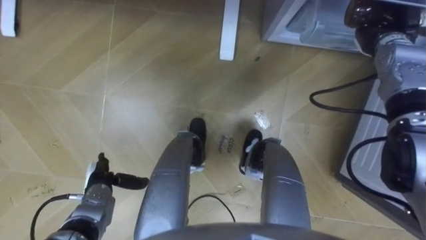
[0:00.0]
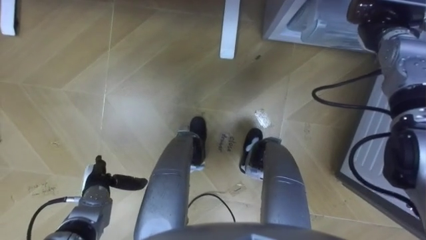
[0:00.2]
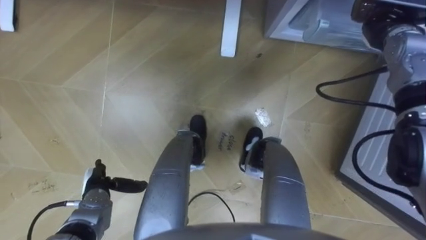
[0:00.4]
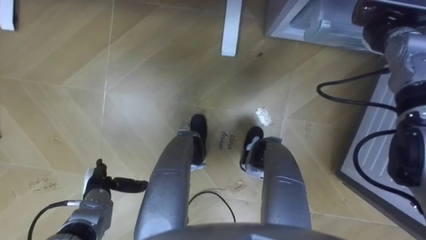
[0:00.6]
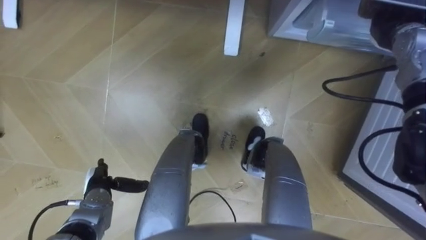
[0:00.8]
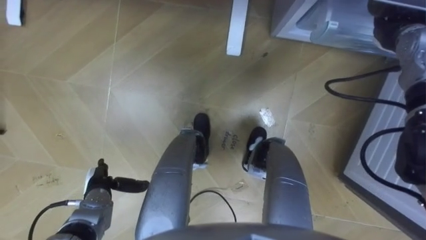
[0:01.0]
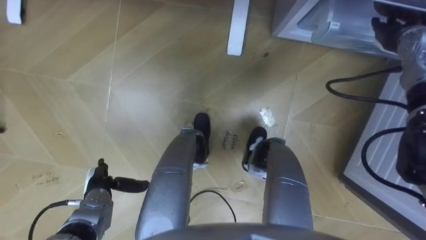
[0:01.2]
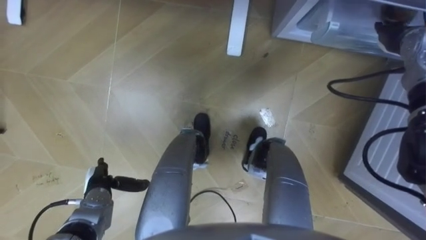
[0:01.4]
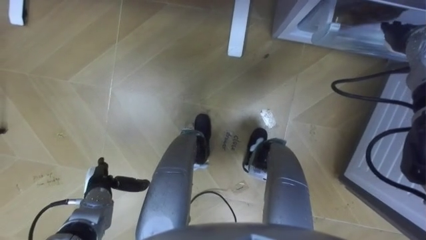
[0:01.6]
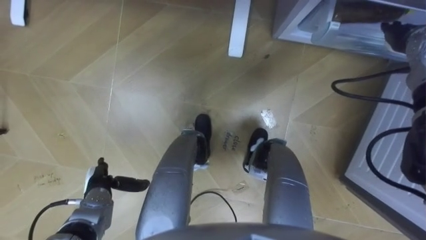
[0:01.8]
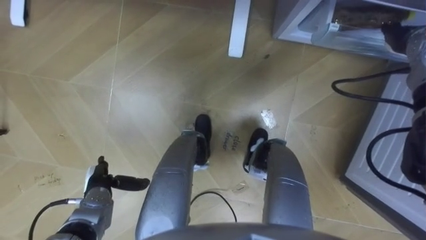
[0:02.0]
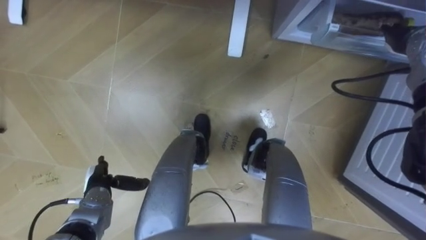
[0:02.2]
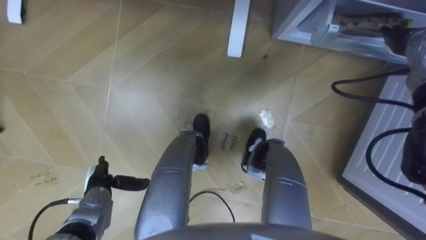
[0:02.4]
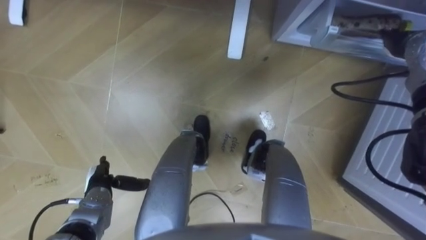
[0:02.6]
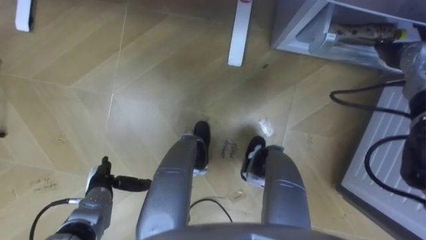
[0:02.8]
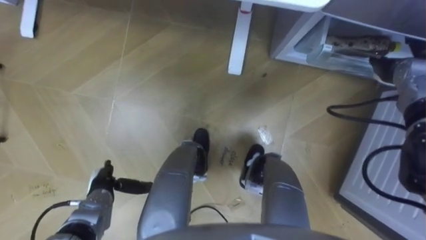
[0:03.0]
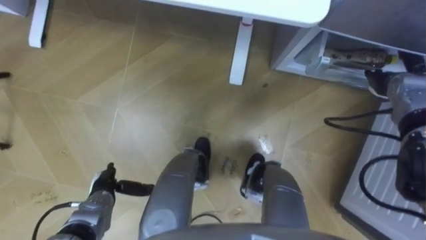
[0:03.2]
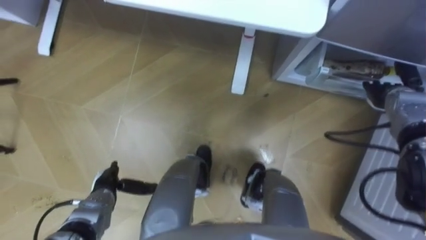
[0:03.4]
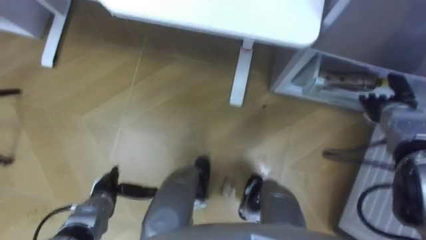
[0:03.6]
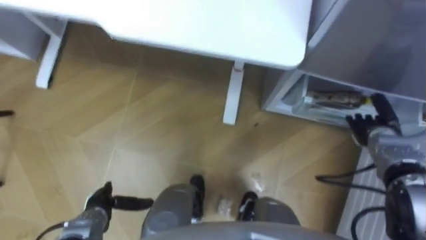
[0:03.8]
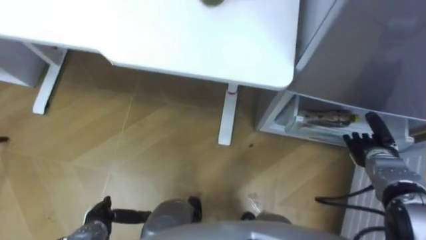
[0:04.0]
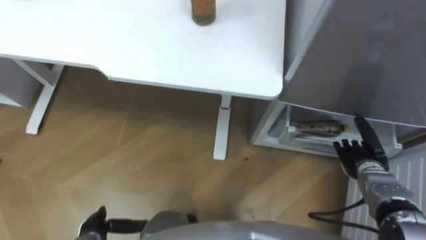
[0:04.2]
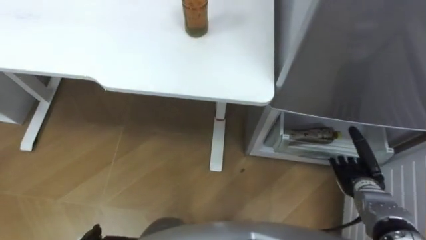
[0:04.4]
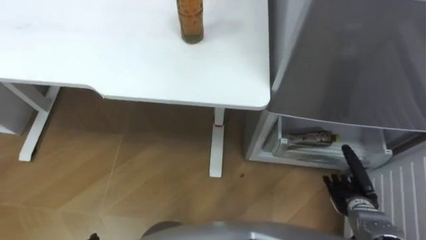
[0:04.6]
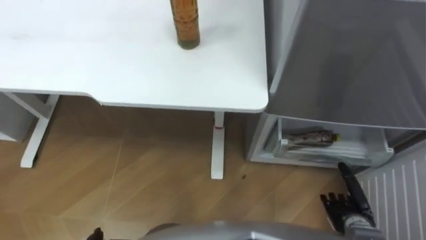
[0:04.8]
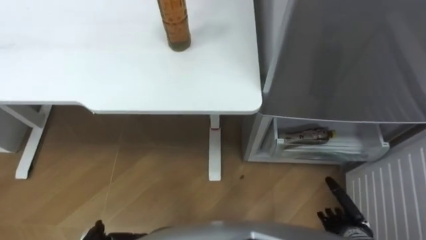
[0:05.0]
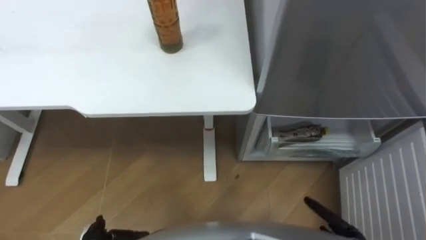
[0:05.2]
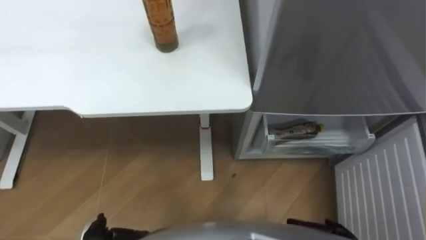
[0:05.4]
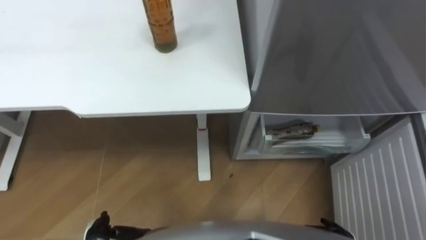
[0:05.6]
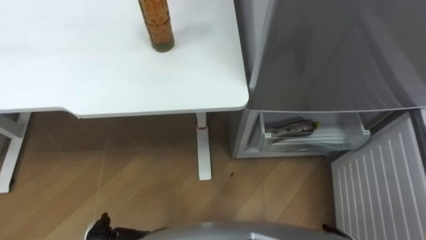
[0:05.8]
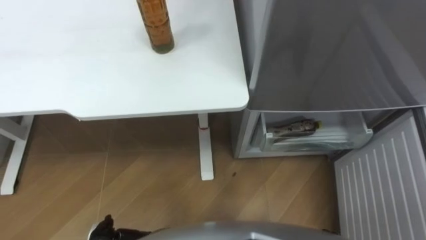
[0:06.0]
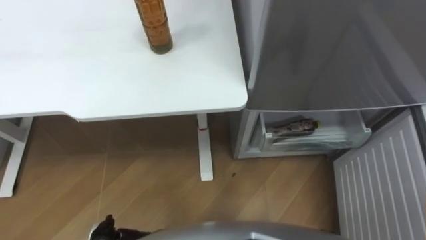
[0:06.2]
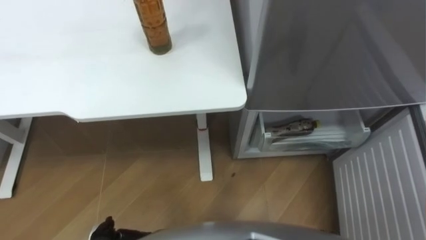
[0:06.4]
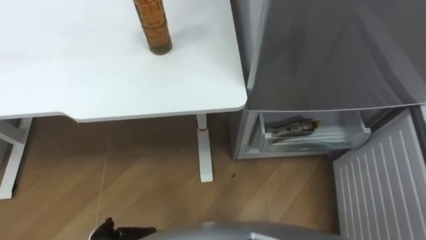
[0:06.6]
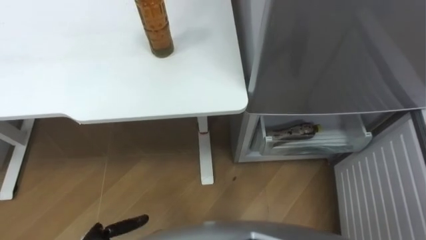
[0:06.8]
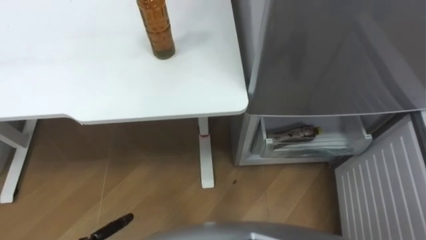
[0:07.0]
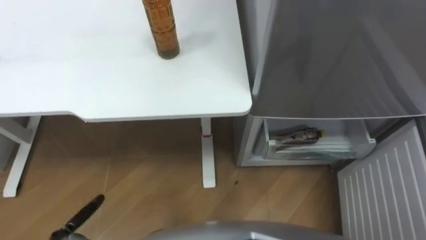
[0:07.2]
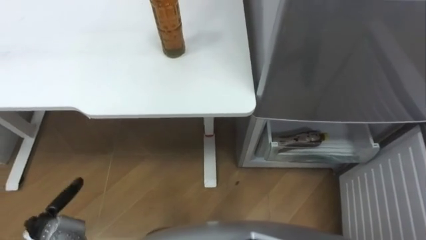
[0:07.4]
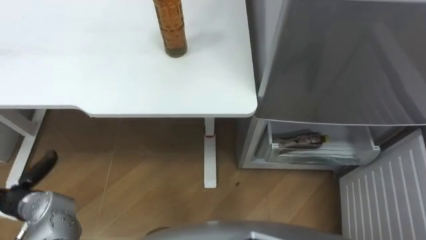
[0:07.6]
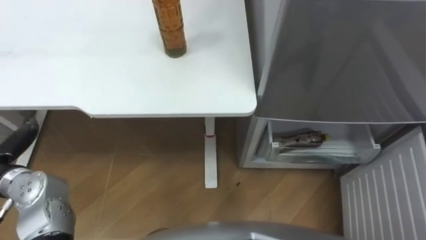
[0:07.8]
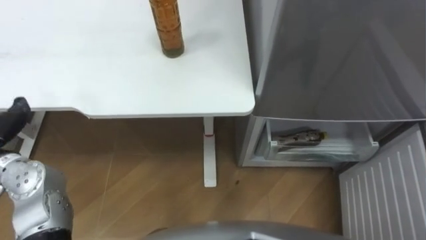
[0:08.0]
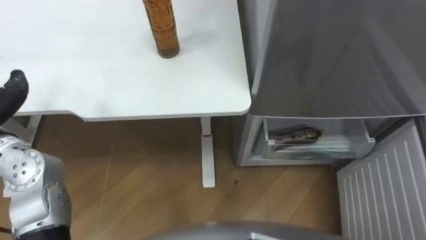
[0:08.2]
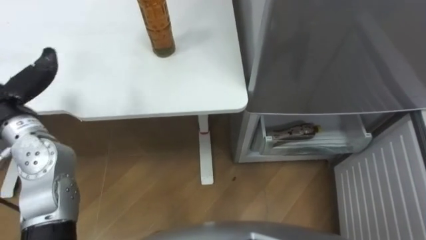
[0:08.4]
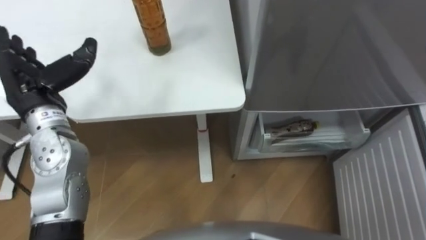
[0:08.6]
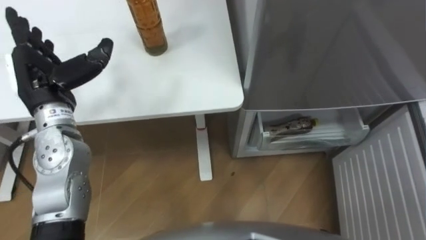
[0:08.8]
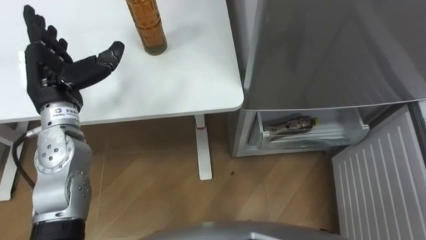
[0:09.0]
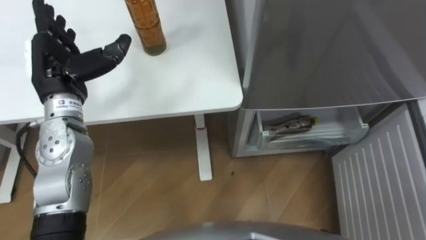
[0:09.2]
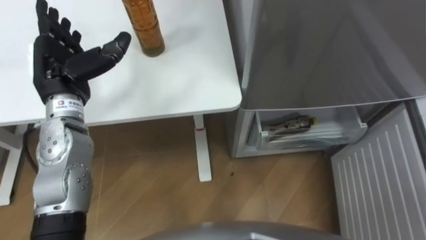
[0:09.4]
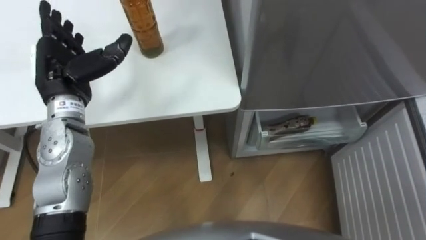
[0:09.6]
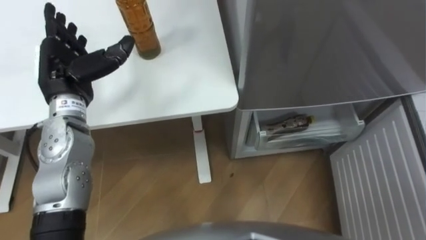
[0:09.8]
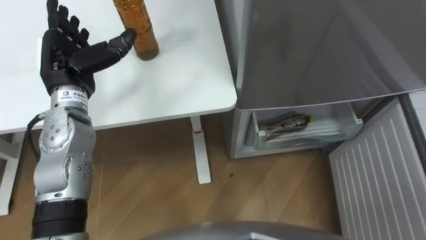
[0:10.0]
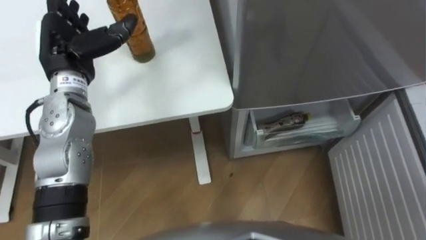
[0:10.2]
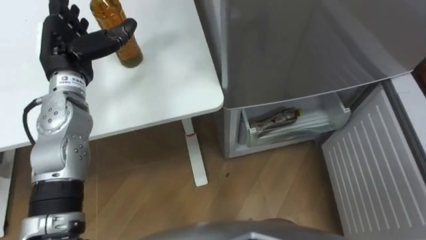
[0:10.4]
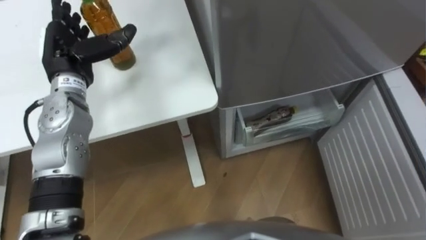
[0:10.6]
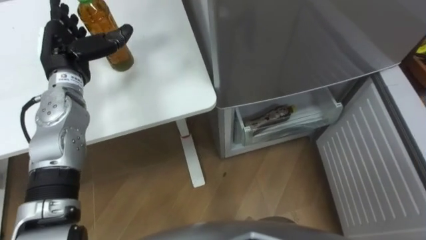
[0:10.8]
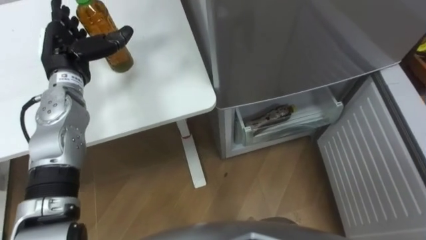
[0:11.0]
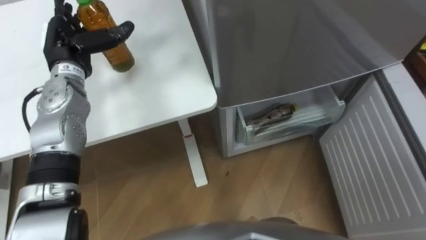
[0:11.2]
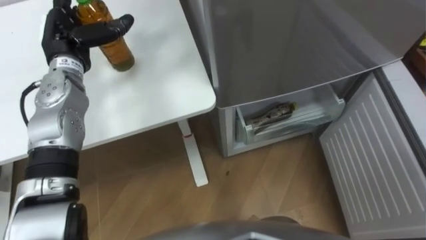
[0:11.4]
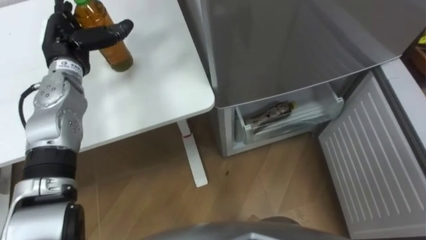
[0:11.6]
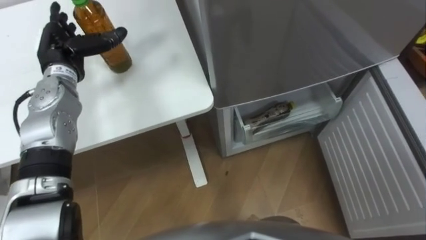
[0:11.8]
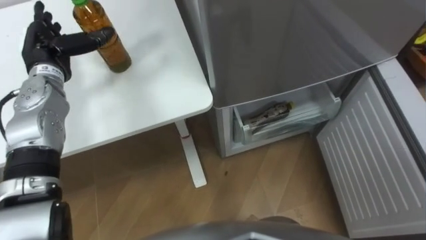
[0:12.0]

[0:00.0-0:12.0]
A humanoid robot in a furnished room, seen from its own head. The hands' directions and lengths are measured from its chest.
Task of the whole recording: Place the drink on the table on the bottom shelf of the refrigerator, then close the drawer and the refrigerator door.
0:00.0 to 0:01.6: The right hand opens up.
0:01.6 to 0:03.0: The right hand travels downward by about 5 cm.
0:03.0 to 0:04.4: The right hand goes roughly 25 cm backward and downward.
0:09.0 to 0:10.4: The left hand goes some 5 cm forward.
0:10.4 to 0:12.0: The left hand changes place by approximately 5 cm.

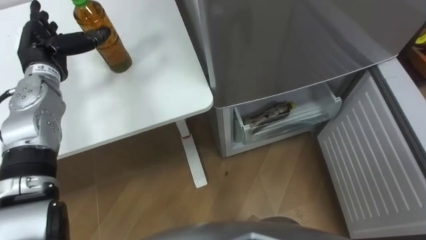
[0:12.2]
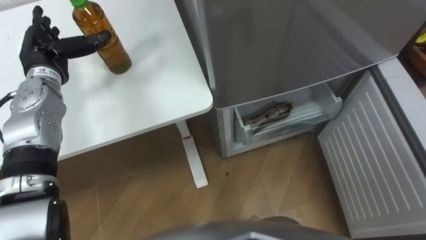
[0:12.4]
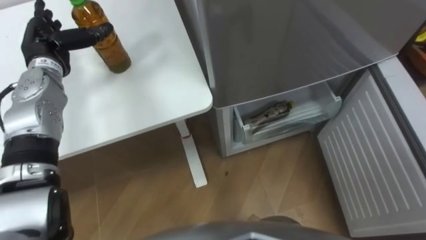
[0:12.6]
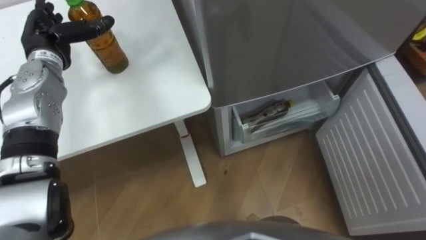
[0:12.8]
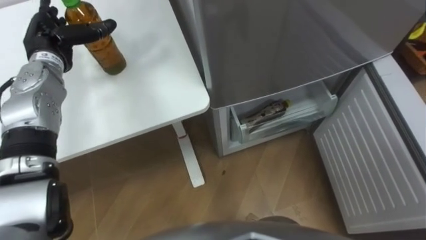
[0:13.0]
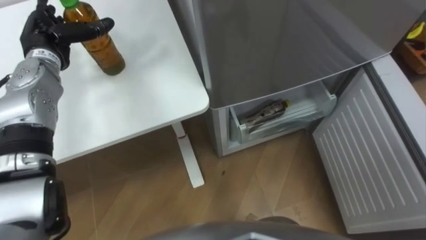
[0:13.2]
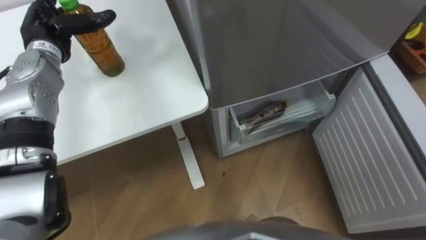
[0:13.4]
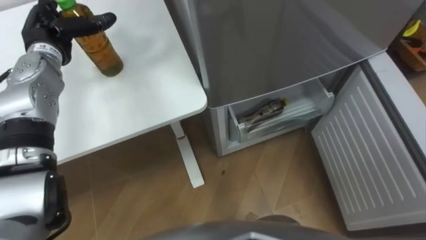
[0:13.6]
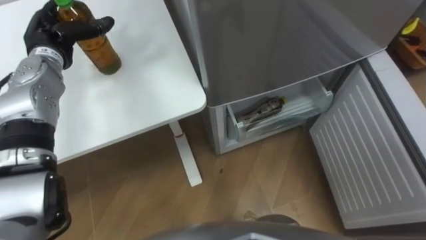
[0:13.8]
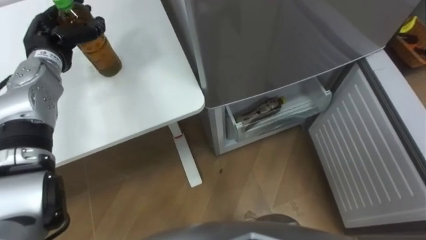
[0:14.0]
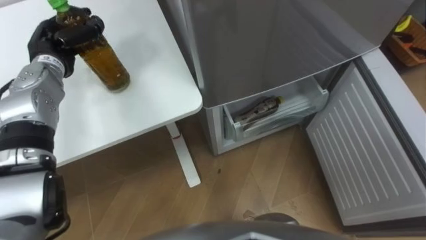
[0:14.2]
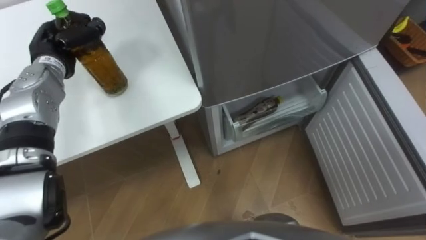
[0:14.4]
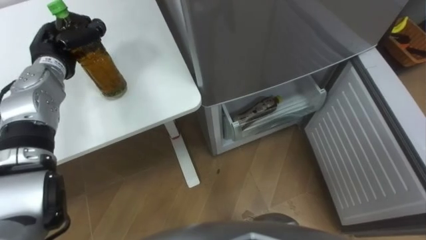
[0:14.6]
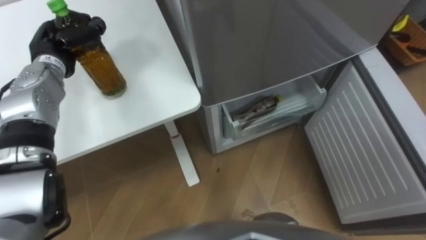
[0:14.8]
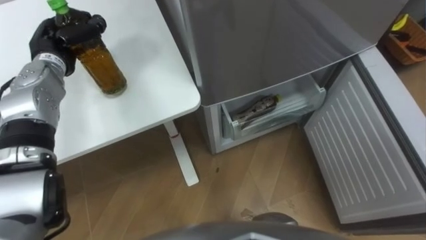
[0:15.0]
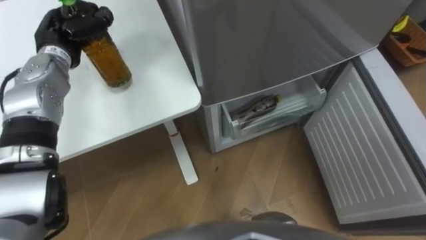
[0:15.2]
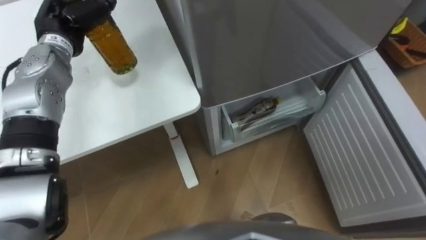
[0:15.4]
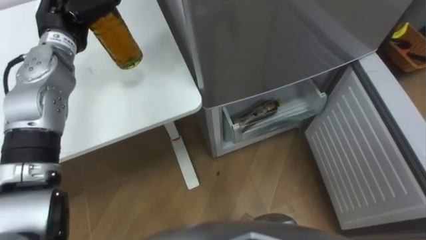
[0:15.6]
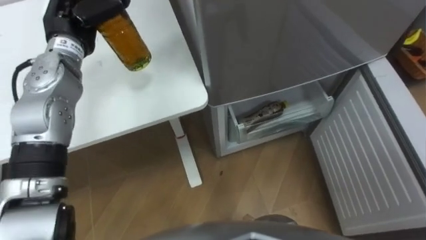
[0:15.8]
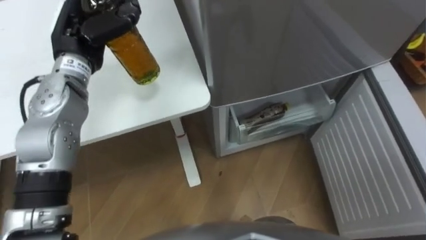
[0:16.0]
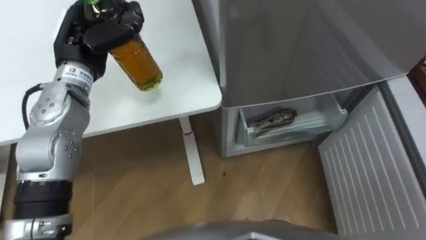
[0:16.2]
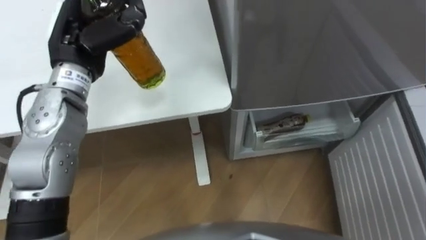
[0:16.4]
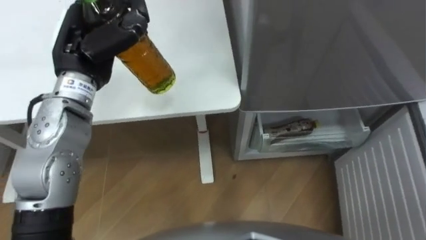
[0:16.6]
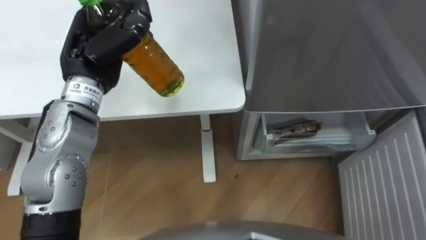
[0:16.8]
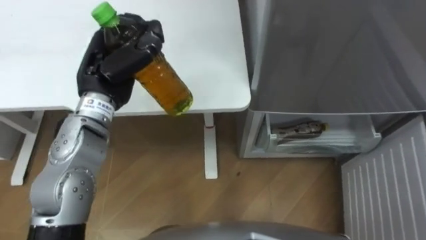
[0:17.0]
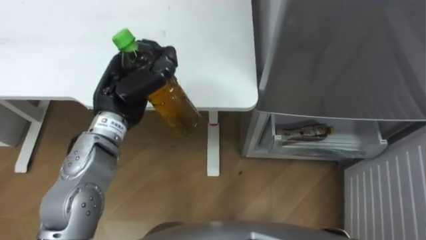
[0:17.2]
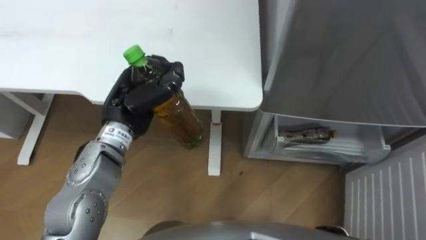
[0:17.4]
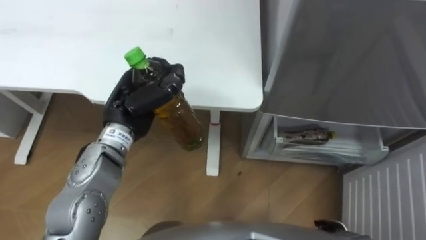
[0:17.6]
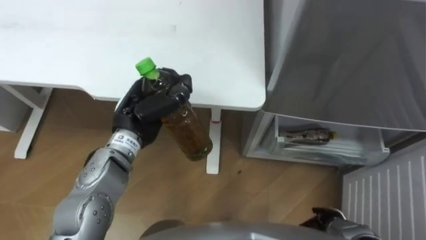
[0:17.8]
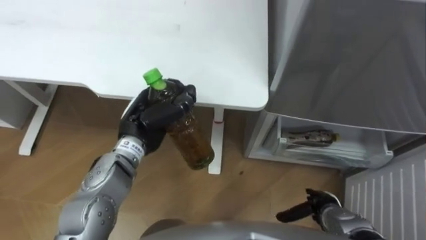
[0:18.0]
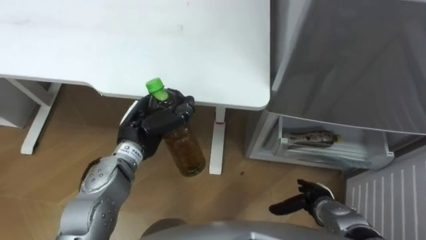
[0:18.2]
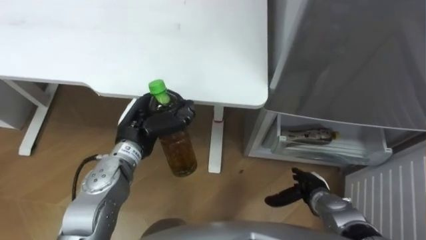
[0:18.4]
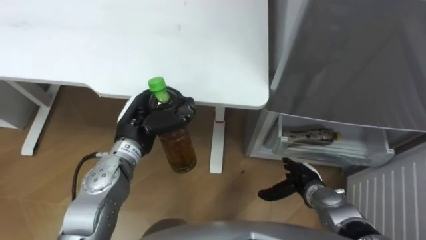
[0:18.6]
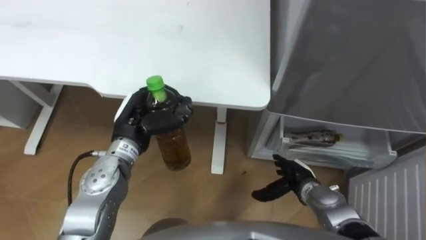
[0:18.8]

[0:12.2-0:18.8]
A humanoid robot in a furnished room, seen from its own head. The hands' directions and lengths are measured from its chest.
Task of the whole recording: Place the drink on the table on the bottom shelf of the refrigerator, then close the drawer and the refrigerator door.
0:13.8 to 0:15.4: The left hand closes its fingers.
0:15.4 to 0:17.2: The left hand goes some 15 cm backward and to the right.
0:17.2 to 0:18.8: The left hand shifts approximately 5 cm downward.
